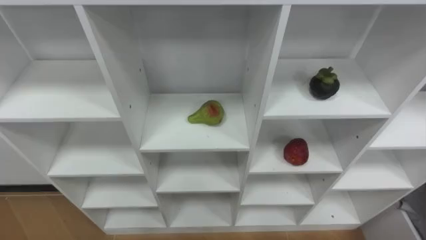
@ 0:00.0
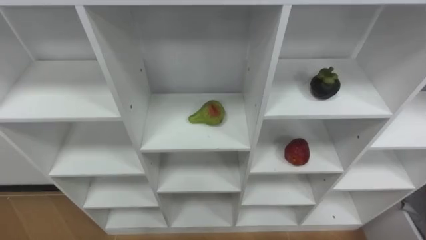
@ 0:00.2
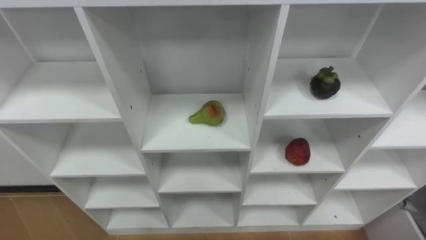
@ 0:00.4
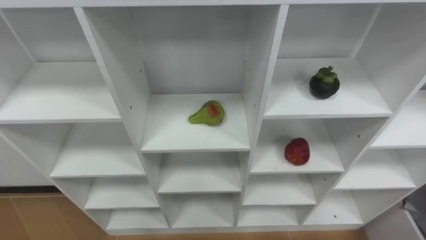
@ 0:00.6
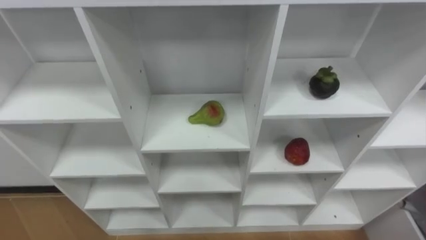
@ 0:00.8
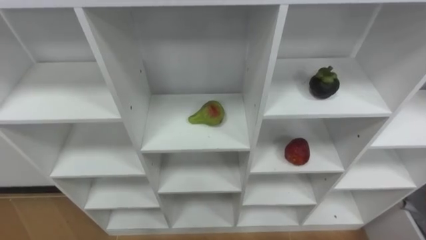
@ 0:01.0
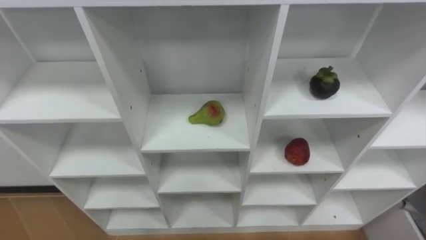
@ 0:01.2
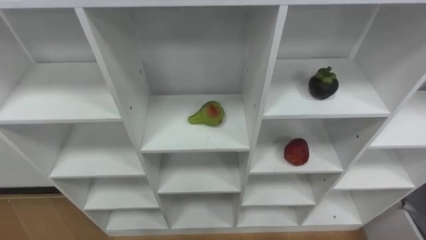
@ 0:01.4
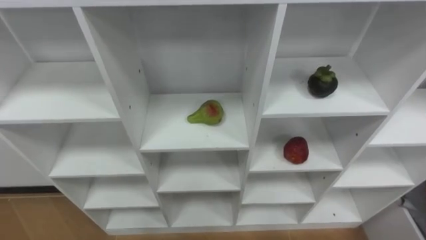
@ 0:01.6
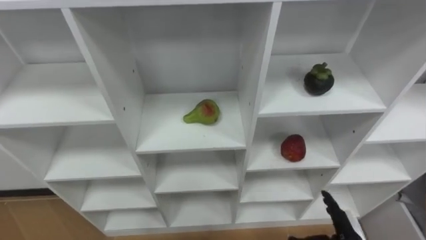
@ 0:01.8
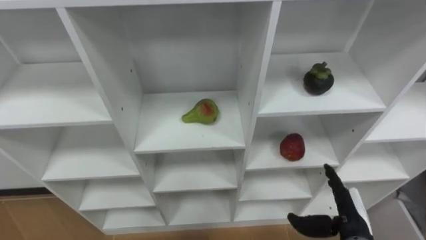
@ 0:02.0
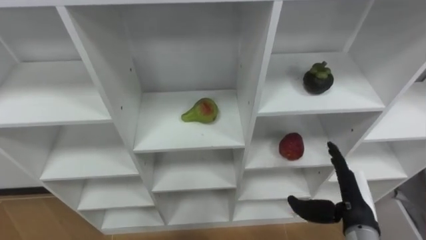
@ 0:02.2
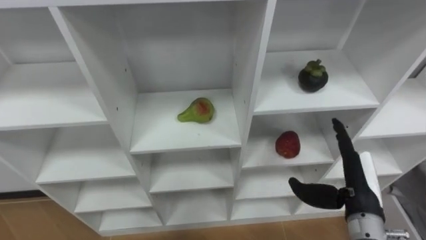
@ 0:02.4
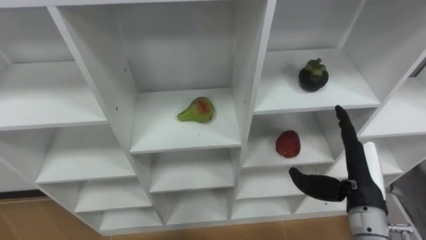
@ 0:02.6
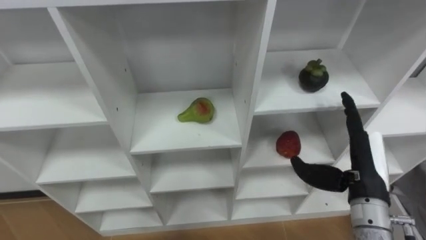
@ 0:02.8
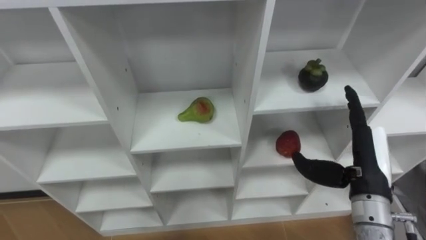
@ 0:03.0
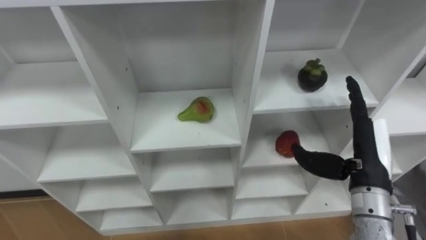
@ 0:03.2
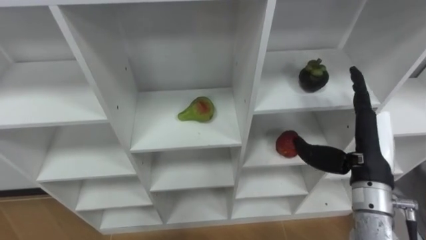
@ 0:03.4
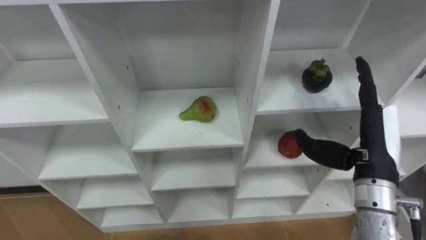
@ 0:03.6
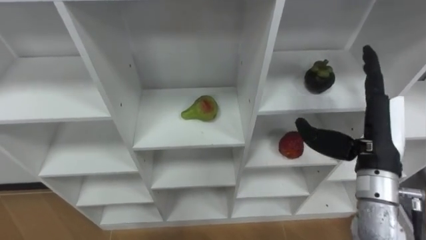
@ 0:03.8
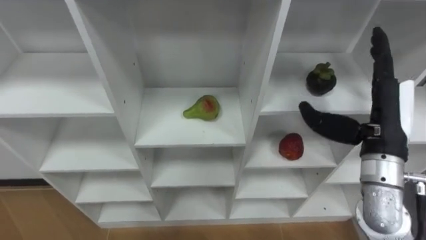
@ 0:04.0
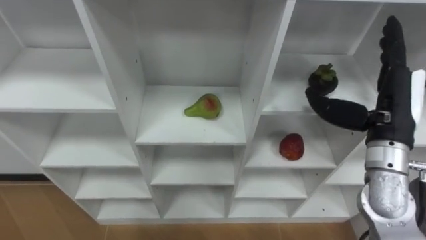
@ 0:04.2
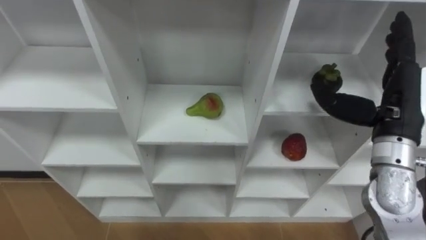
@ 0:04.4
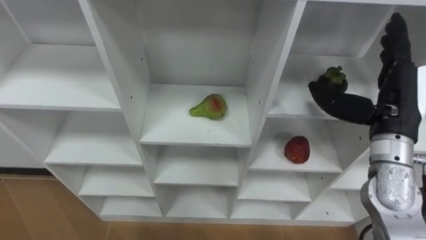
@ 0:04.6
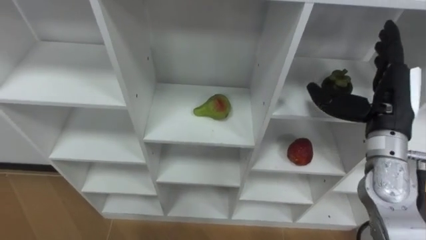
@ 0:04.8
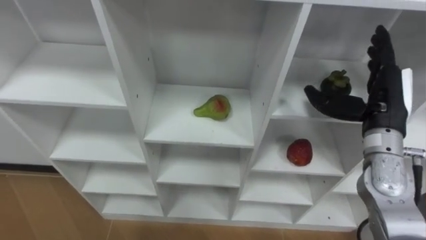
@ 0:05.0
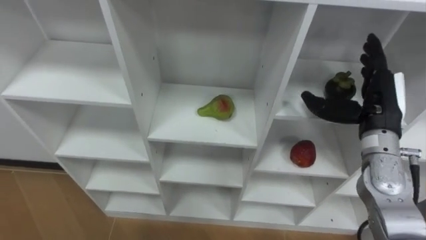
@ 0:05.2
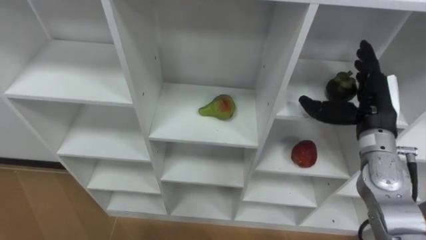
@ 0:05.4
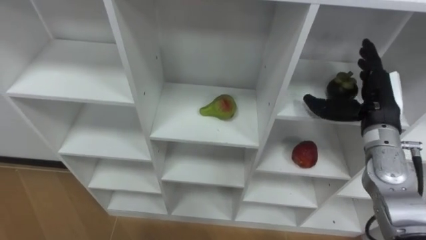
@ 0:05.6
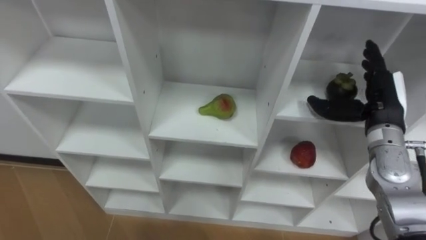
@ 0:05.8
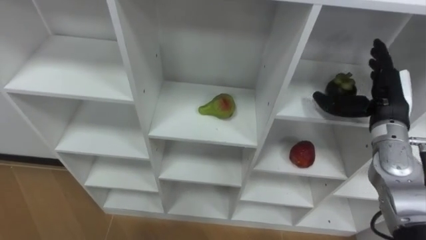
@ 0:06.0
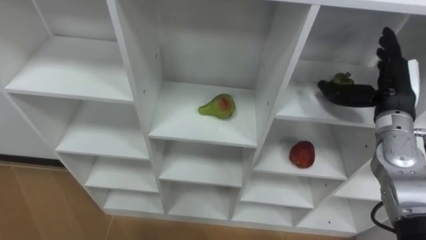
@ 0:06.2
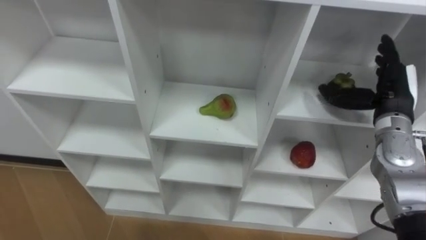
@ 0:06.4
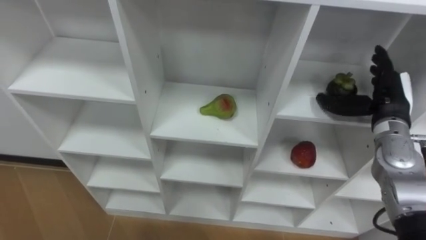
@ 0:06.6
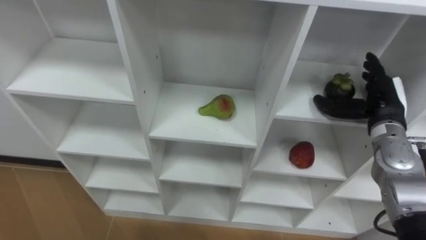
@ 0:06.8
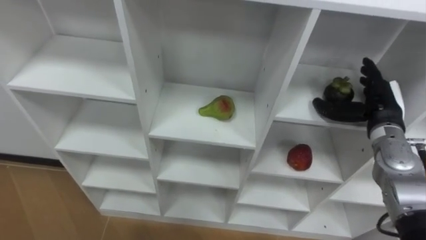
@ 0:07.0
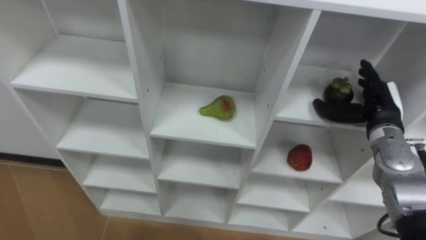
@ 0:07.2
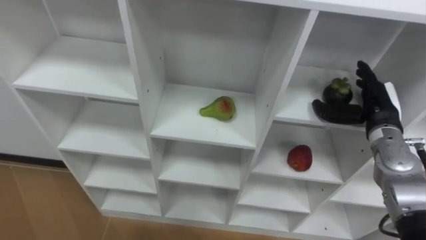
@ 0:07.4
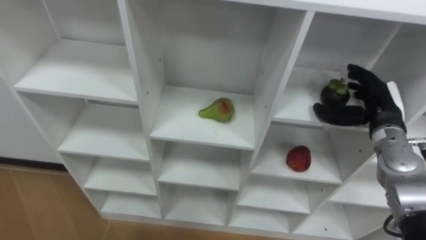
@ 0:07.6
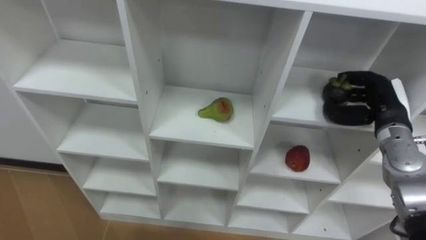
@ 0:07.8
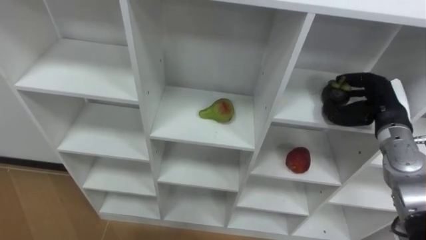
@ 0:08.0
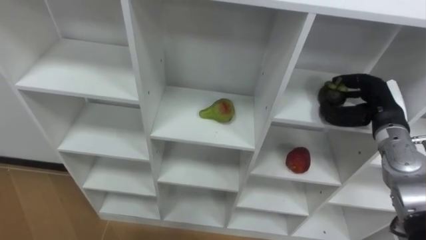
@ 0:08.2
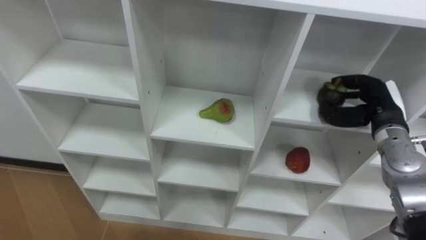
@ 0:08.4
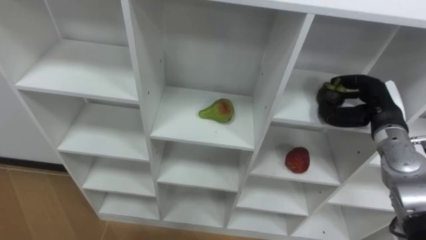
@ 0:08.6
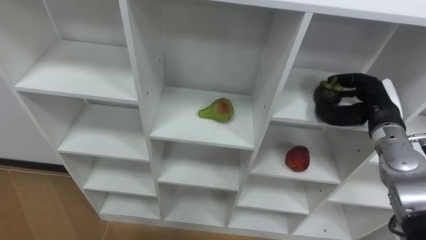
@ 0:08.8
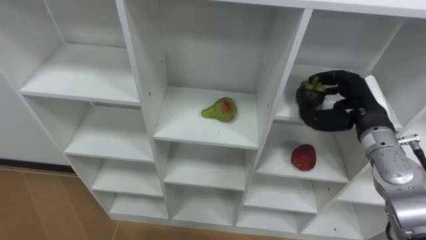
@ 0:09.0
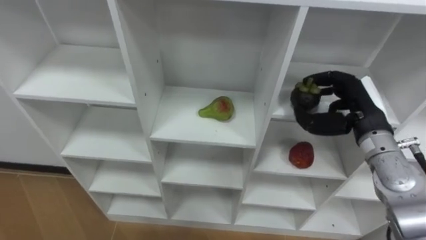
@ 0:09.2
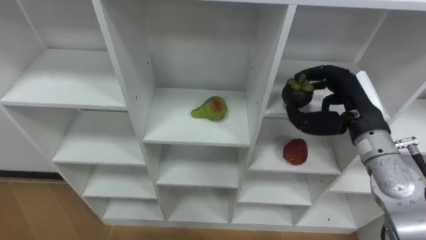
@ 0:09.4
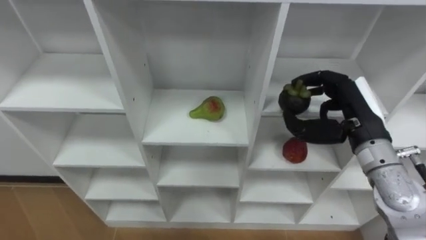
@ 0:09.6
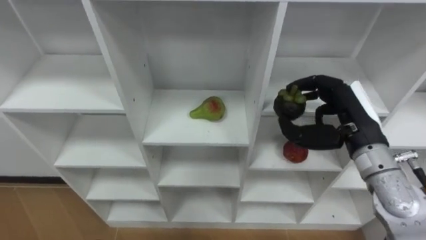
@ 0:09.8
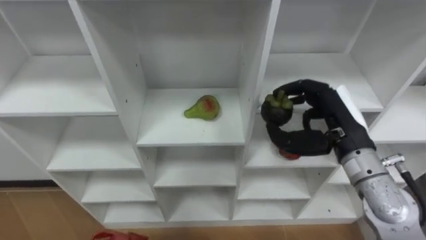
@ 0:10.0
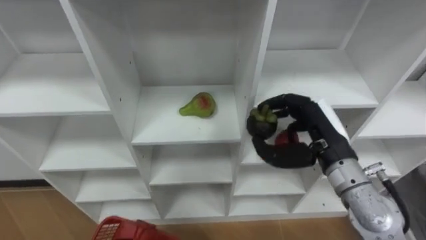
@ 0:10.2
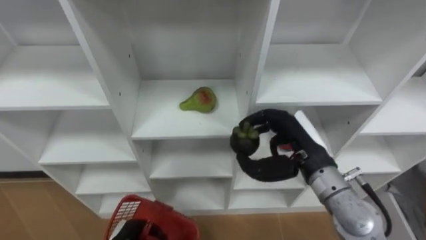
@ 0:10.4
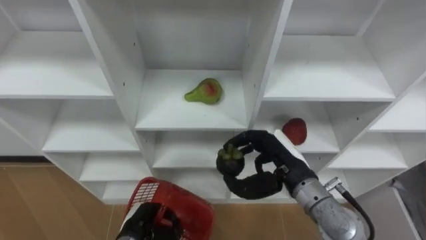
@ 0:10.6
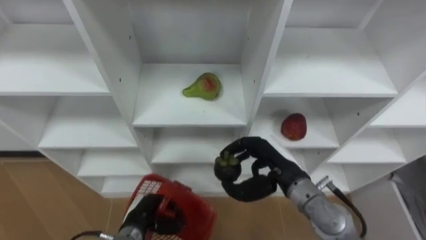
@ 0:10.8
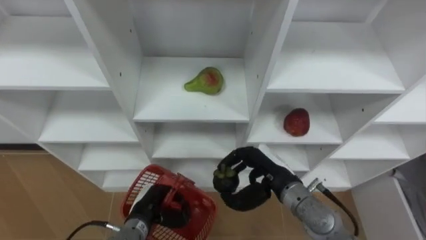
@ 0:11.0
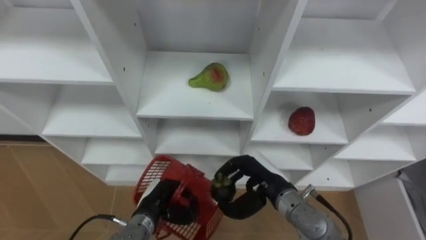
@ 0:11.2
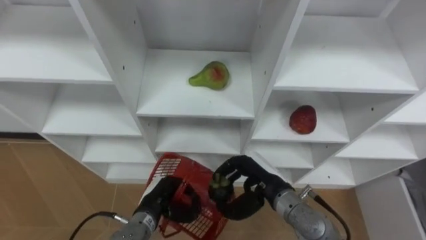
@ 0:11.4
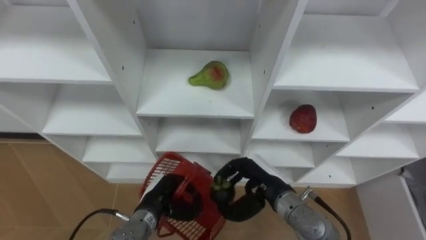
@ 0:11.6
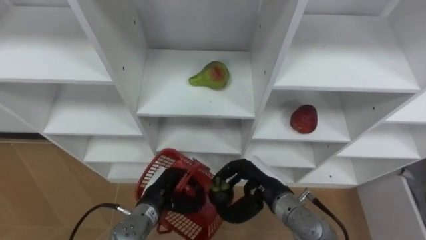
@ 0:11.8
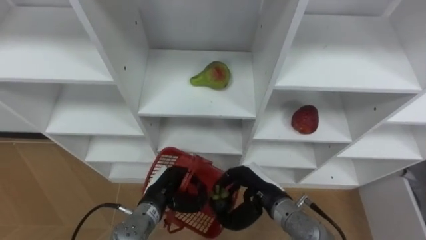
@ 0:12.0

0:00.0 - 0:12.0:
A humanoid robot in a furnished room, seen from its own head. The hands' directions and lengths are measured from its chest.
Task of the whole recording: Hold the basket and collect the fruits from 3 different cells of the closet into it.
0:03.0 - 0:04.4: The right hand heads upward and forward, covering approximately 10 cm.
0:04.4 - 0:06.0: The right hand travels downward and forward by some 10 cm.
0:07.6 - 0:09.0: The right hand closes.
0:09.0 - 0:10.4: The right hand goes some 15 cm to the left and backward.
0:10.4 - 0:12.0: The right hand heads downward and to the left, covering some 15 cm.

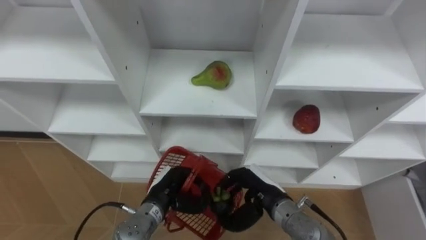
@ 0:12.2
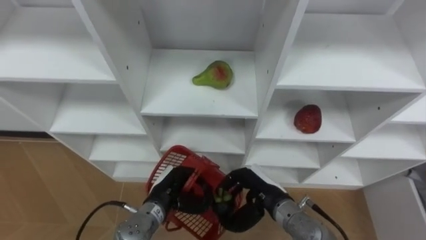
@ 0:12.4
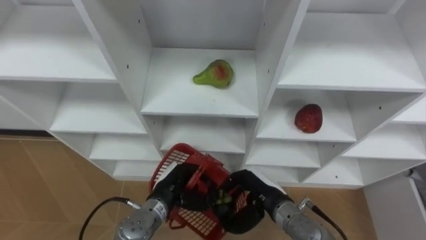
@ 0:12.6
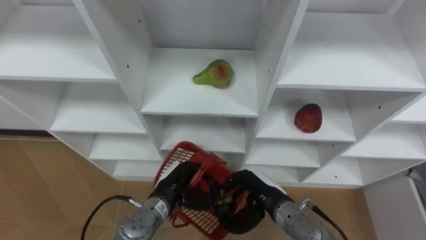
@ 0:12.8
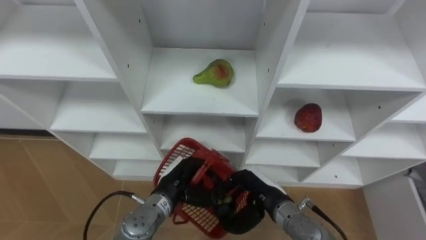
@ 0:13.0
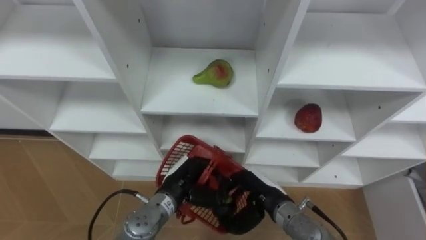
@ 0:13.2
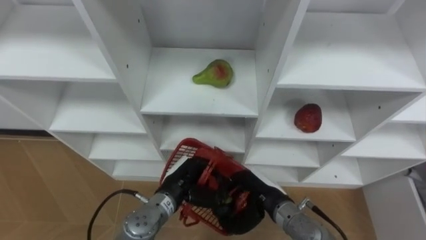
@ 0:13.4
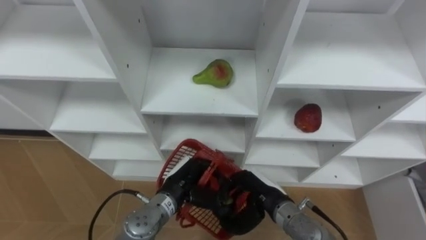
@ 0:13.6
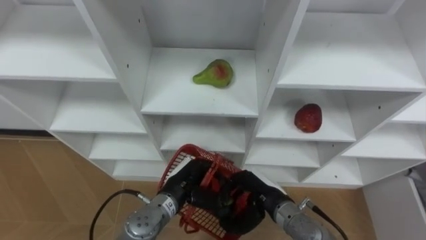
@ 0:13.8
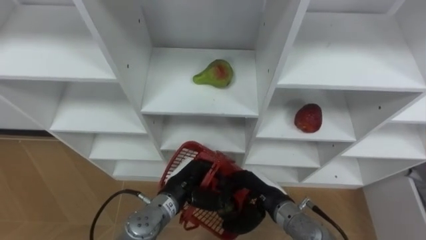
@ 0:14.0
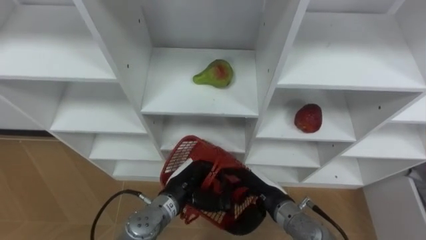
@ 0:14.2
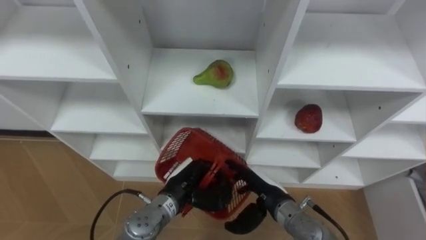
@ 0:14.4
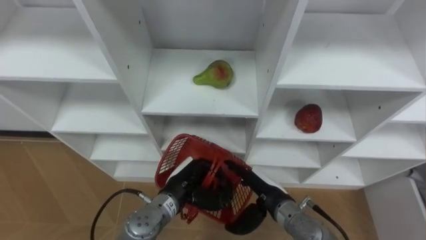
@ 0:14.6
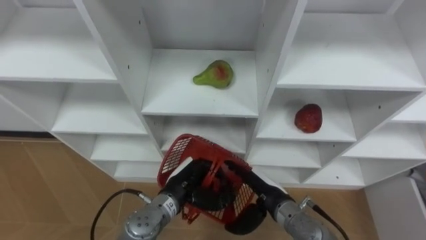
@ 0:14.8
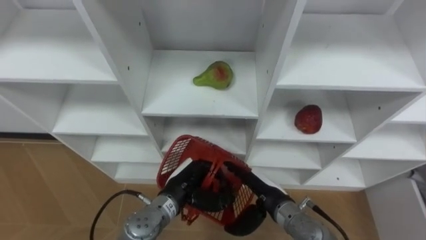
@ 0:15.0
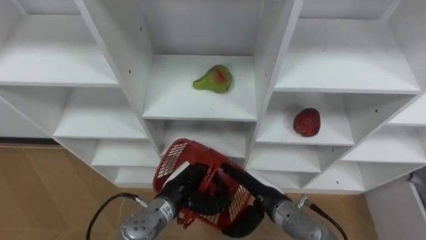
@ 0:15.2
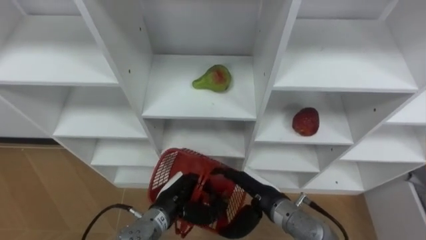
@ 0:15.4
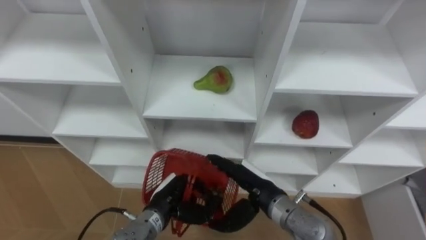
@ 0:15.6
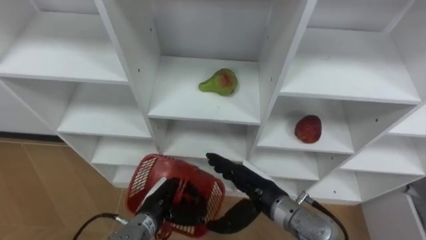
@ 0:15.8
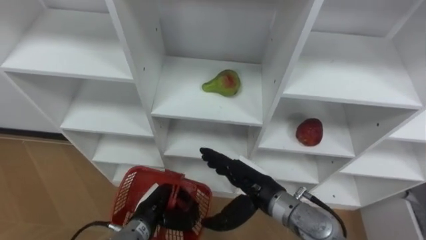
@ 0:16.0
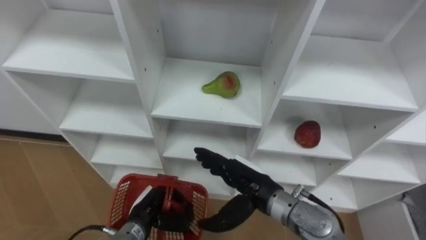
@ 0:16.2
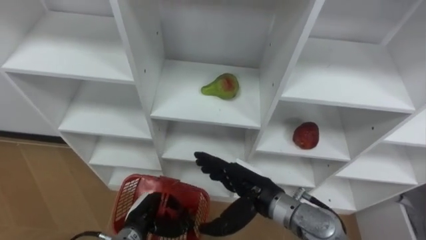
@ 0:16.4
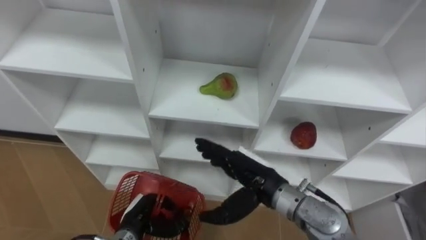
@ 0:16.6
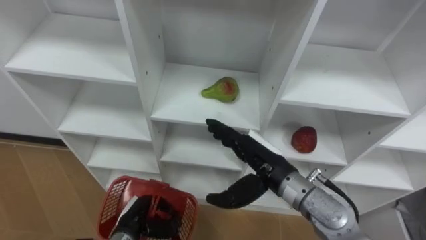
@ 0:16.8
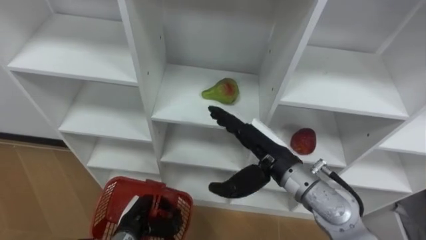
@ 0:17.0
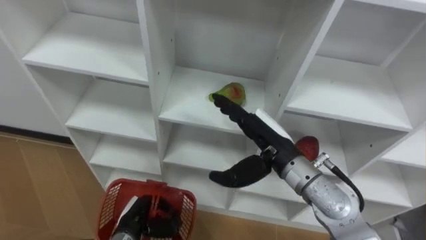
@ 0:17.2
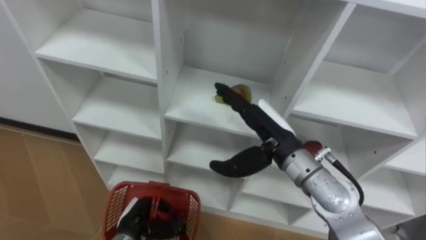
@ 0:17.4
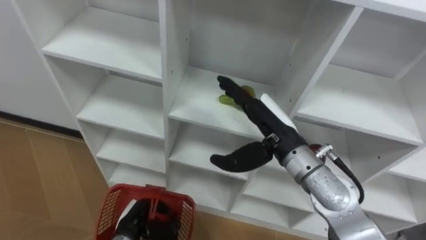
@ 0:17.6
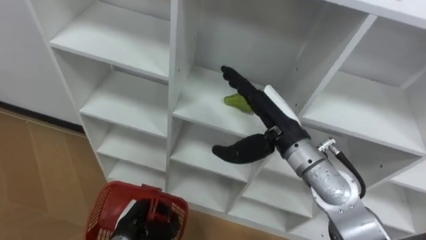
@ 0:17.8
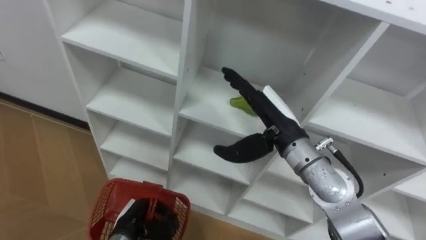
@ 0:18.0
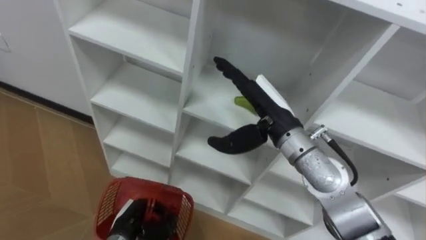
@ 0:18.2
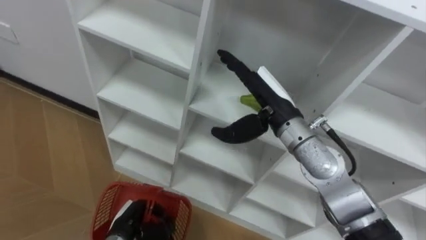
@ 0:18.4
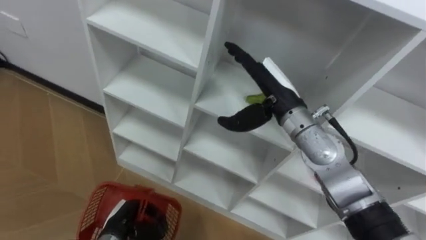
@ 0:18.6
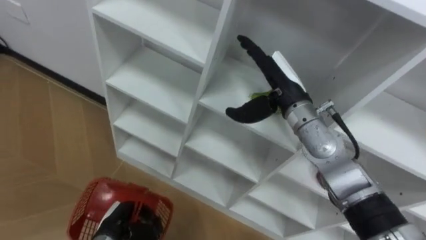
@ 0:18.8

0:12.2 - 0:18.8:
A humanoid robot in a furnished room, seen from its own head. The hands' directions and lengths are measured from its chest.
Task of the whole recording: Hold the basket and collect the fruits from 3 different cells of the closet into it.
0:12.2 - 0:13.8: The left hand shifts by roughly 5 cm.
0:13.8 - 0:15.4: The right hand opens.
0:15.4 - 0:17.2: The left hand moves to the left, about 10 cm. The right hand is displaced upward by some 15 cm.
0:17.2 - 0:18.8: The right hand heads forward, covering some 10 cm.
